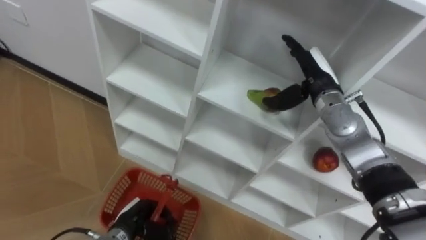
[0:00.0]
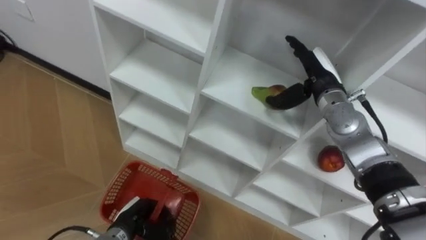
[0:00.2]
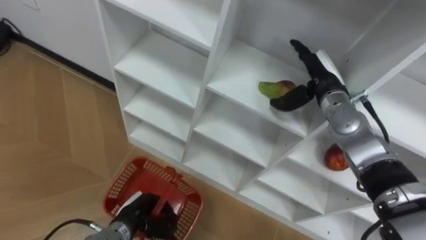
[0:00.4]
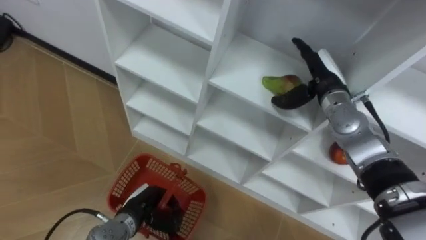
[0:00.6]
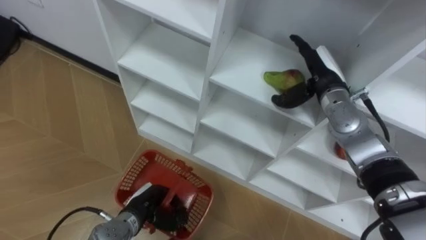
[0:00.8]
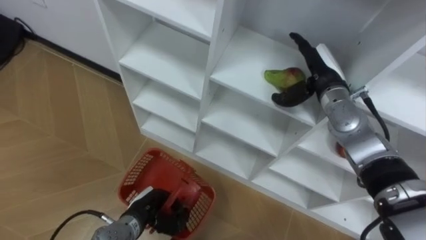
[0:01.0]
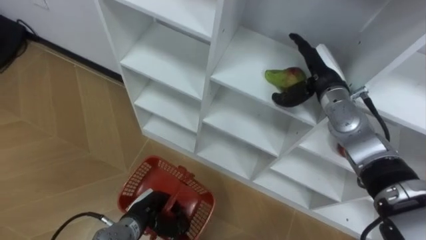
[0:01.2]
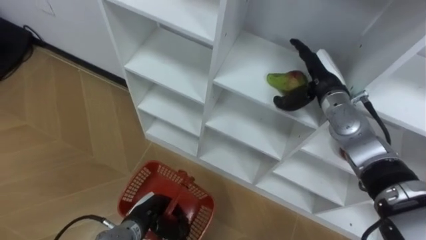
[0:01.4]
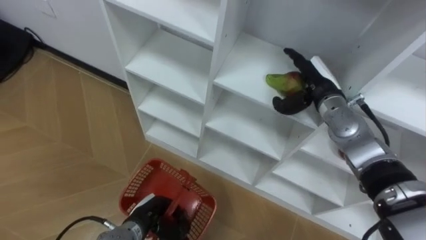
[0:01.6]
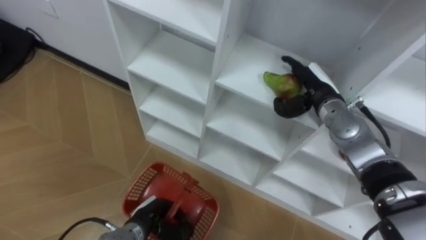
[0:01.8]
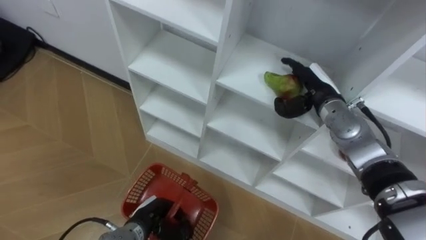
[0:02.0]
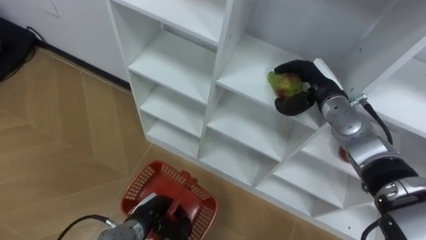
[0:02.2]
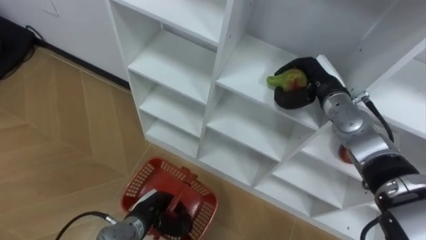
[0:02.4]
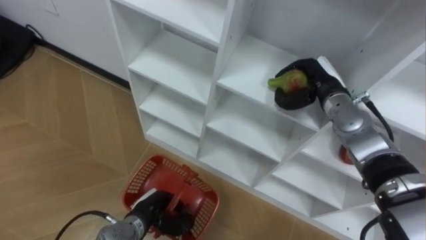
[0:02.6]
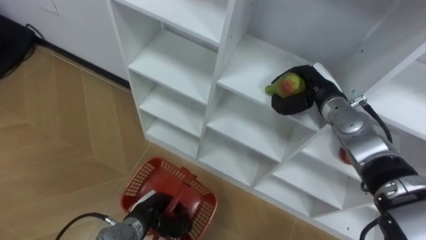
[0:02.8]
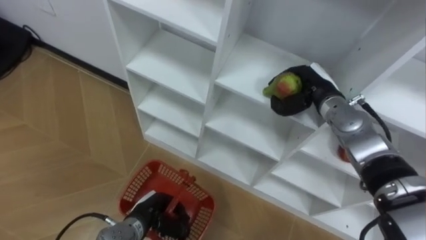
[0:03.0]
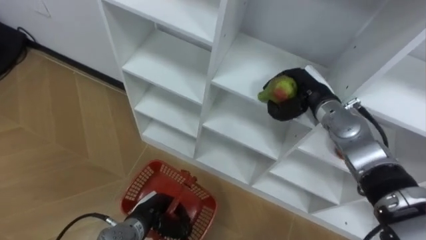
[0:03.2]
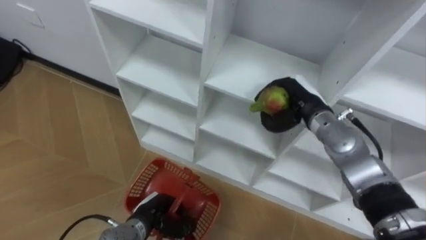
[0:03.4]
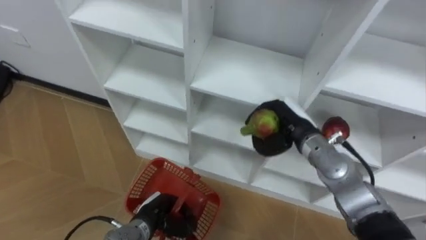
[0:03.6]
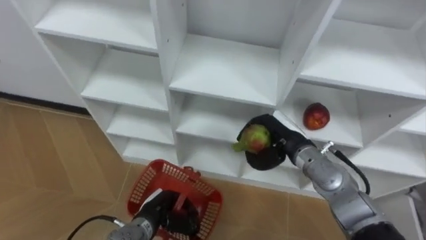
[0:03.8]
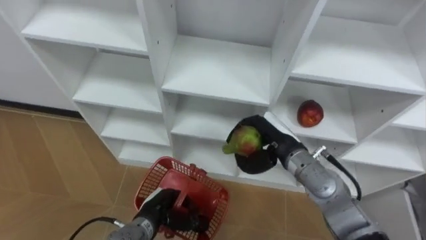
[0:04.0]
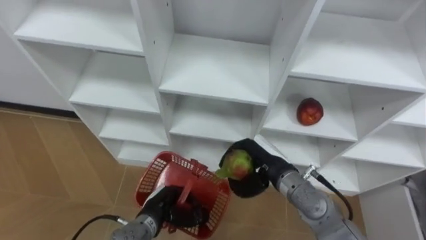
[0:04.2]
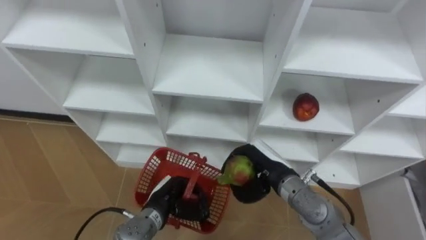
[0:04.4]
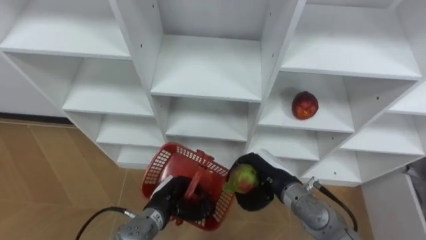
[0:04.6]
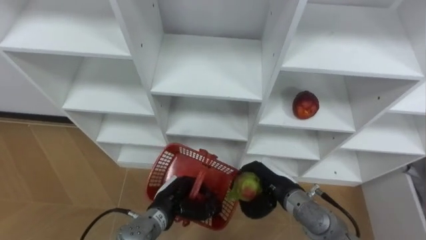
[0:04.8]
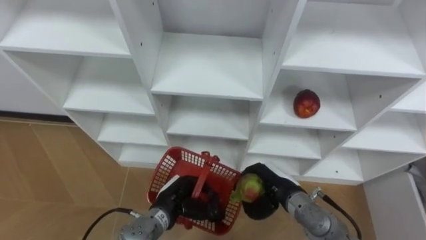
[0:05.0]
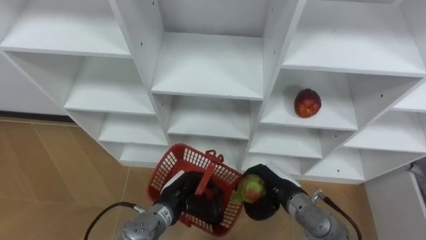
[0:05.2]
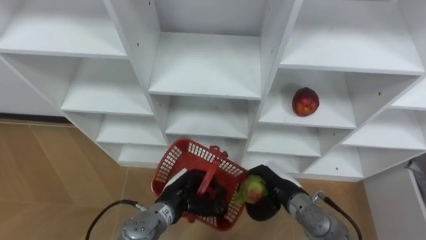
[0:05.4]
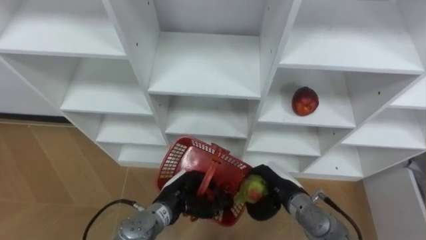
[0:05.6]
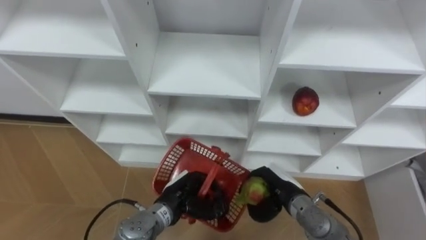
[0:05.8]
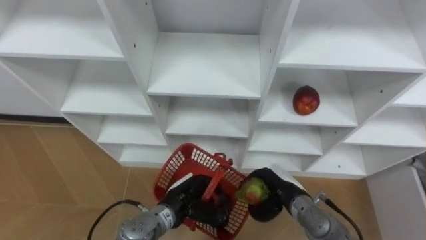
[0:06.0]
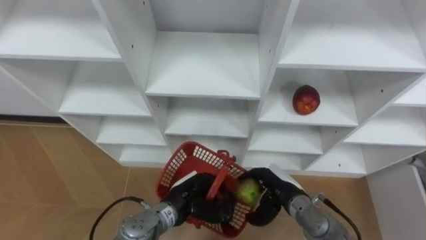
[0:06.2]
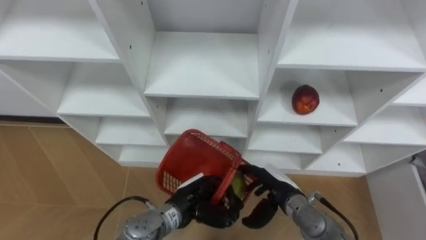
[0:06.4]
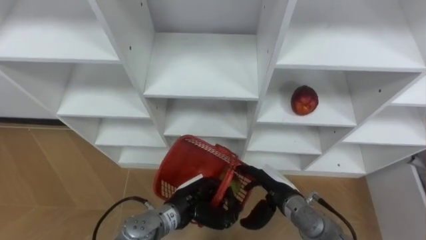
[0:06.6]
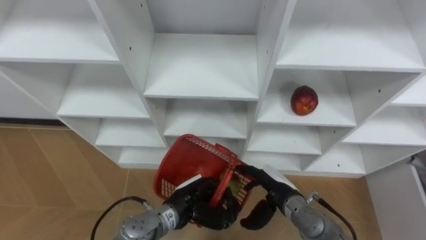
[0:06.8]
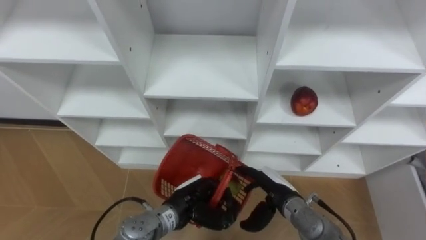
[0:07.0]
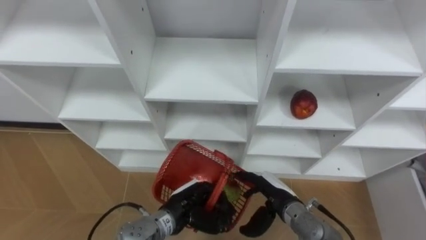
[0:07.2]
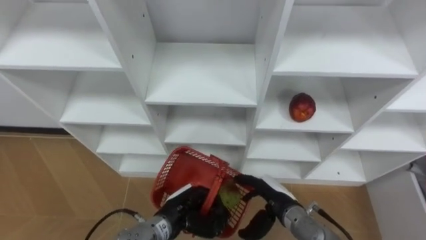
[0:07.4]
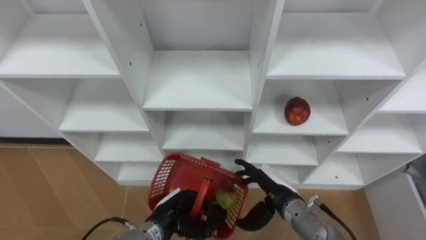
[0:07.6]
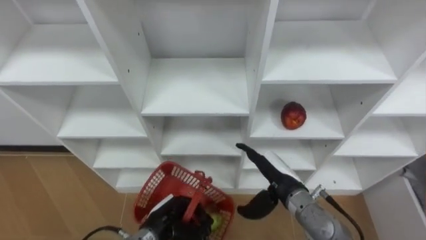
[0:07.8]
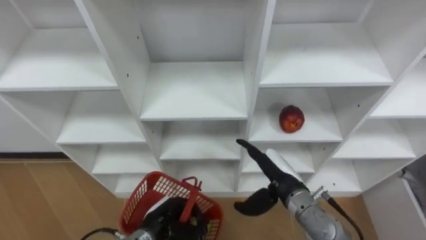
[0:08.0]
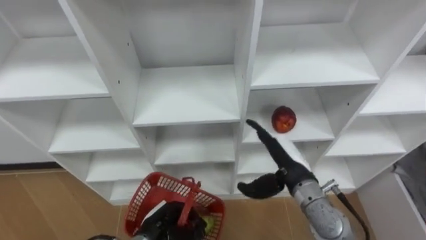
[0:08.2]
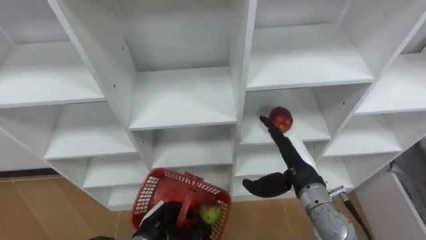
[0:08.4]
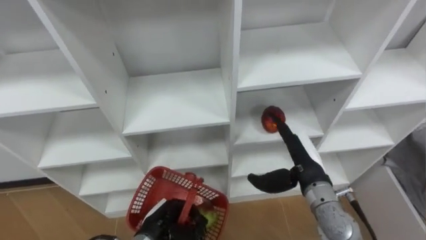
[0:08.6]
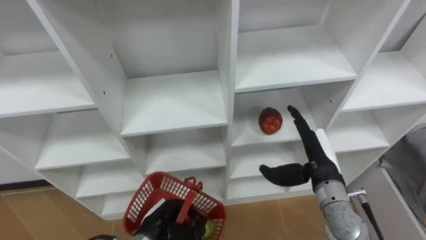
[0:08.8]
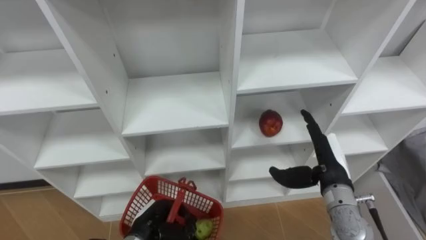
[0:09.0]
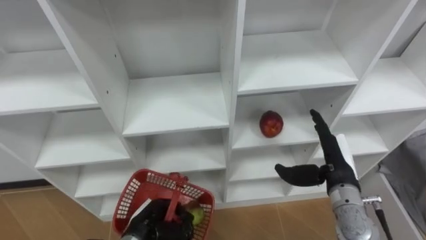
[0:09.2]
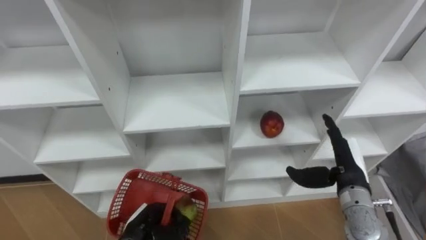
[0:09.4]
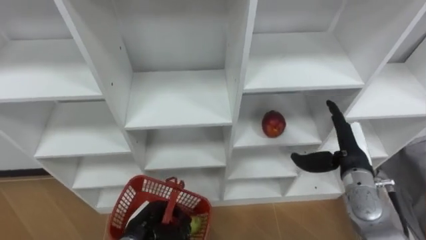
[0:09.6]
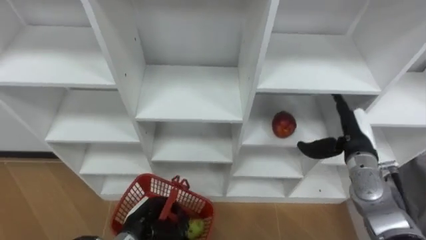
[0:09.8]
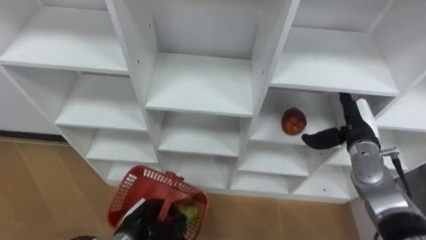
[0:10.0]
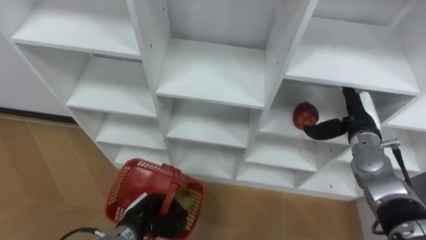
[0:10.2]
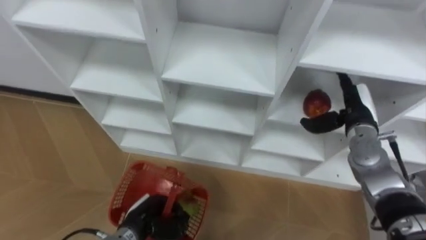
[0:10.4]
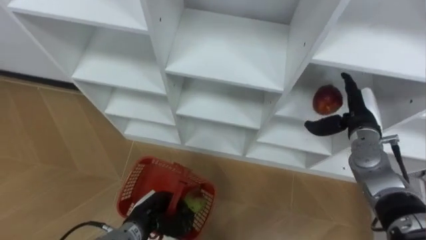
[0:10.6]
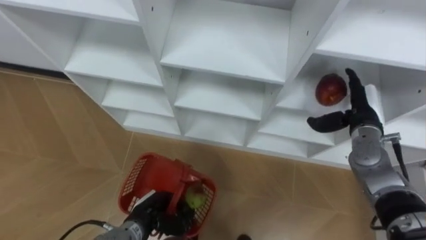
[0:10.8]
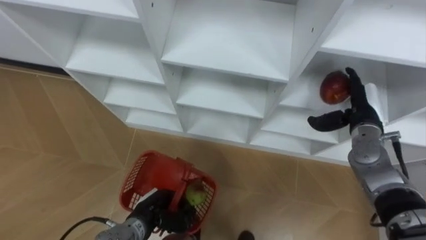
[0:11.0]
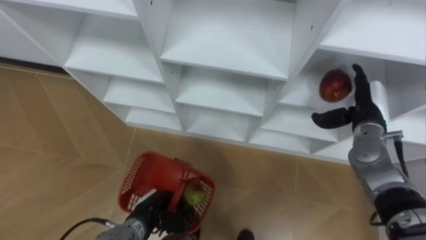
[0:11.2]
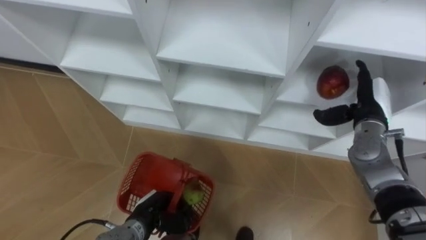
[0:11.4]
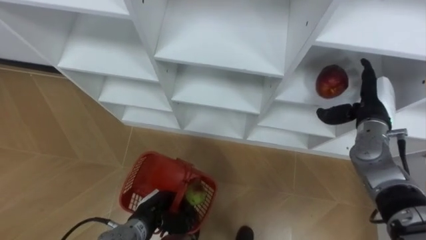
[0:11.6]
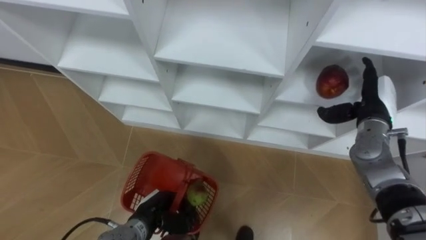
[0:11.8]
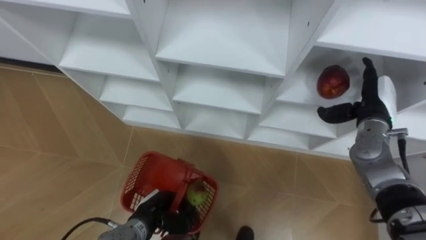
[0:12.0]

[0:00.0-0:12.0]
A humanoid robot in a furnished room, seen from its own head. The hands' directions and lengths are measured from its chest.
Task of the whole recording: Hold the basket and collect the fruits from 3 different cells of the closet into it.
0:01.6 to 0:03.0: The right hand closes.
0:03.0 to 0:04.4: The right hand shifts roughly 20 cm backward, to the left and downward.
0:04.4 to 0:06.0: The right hand heads downward, covering some 5 cm.
0:06.0 to 0:07.6: The right hand opens up.
0:07.6 to 0:09.0: The right hand travels to the right and upward by roughly 10 cm; the left hand moves approximately 5 cm.
0:09.0 to 0:10.4: The right hand heads forward and to the right, covering approximately 10 cm.

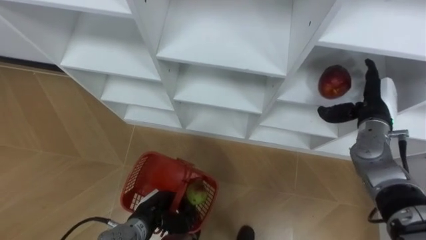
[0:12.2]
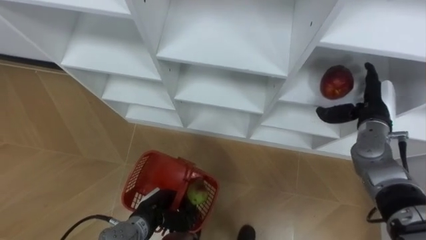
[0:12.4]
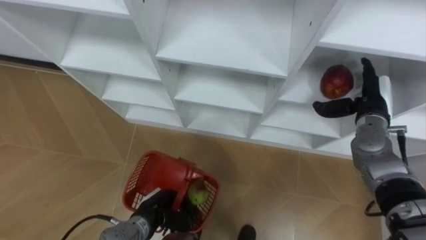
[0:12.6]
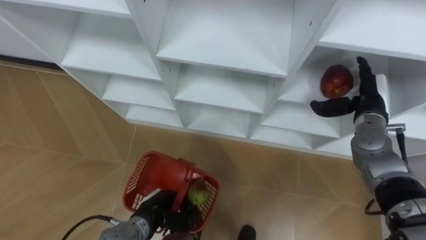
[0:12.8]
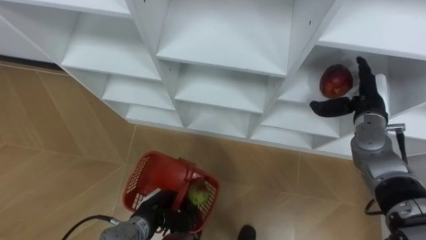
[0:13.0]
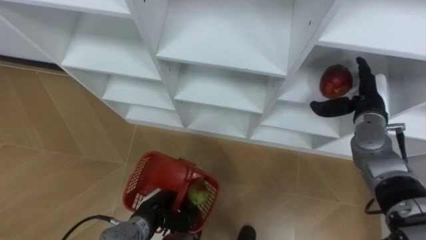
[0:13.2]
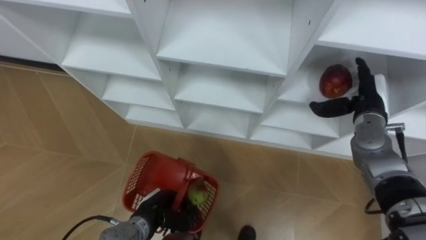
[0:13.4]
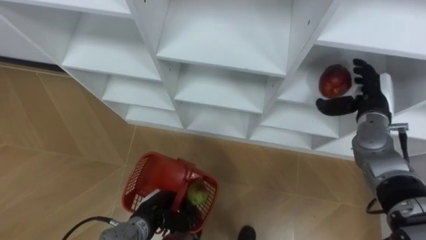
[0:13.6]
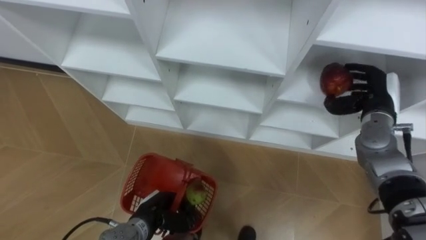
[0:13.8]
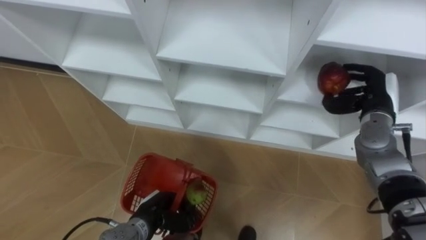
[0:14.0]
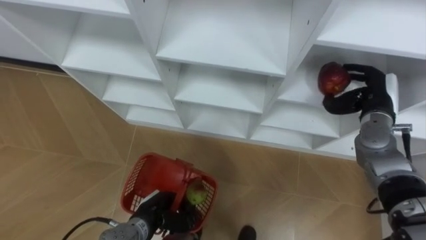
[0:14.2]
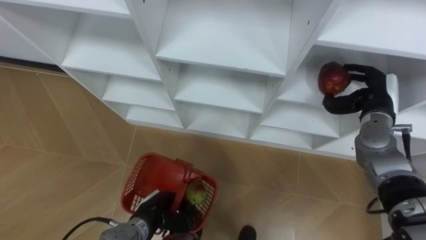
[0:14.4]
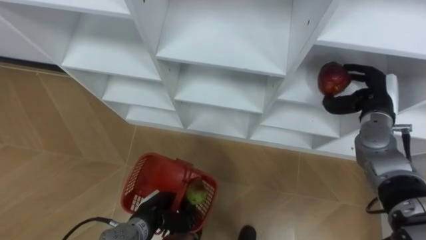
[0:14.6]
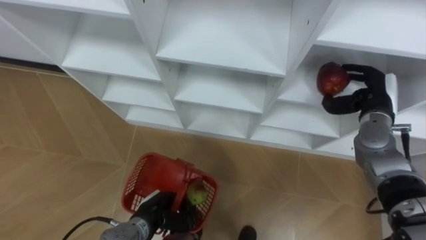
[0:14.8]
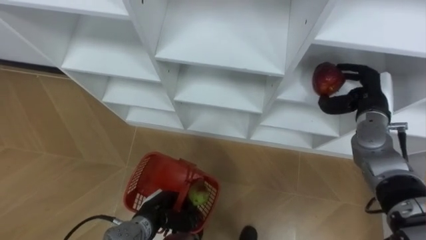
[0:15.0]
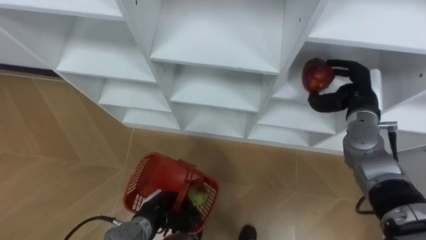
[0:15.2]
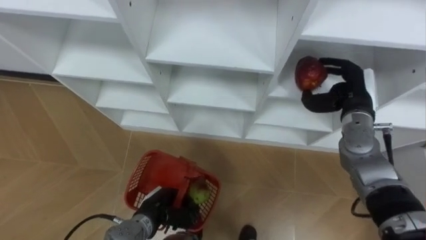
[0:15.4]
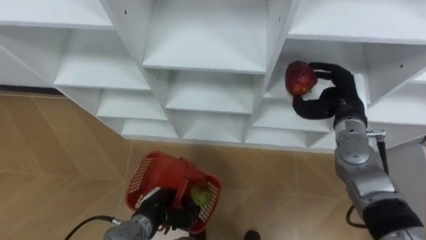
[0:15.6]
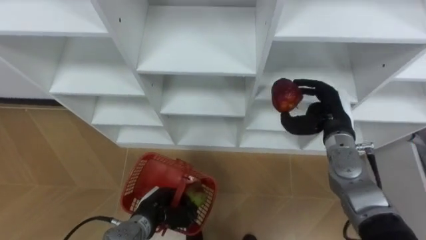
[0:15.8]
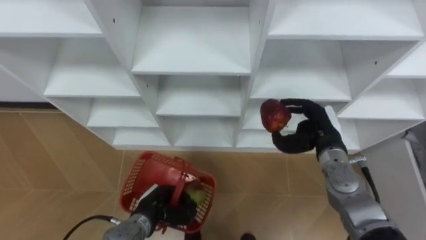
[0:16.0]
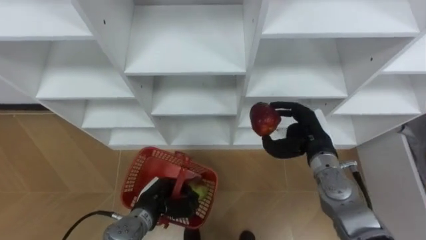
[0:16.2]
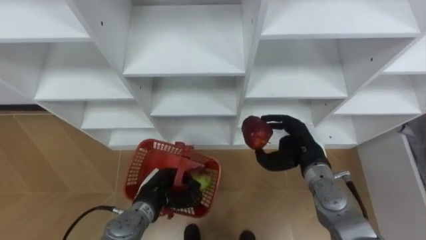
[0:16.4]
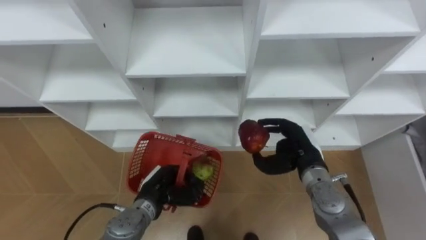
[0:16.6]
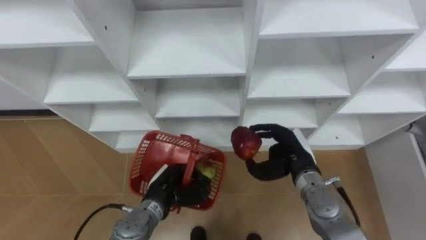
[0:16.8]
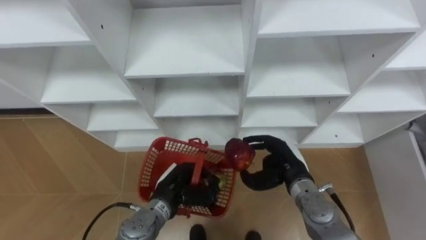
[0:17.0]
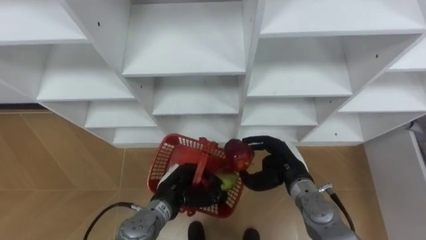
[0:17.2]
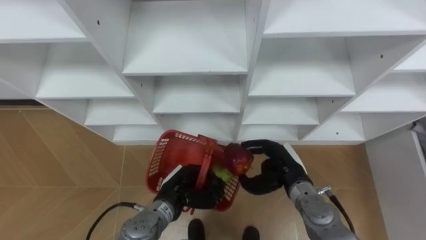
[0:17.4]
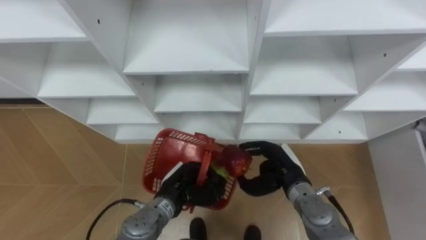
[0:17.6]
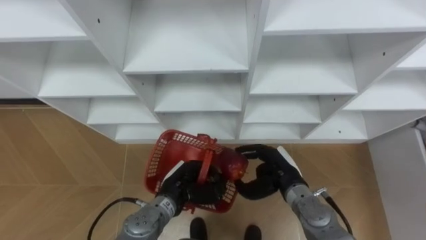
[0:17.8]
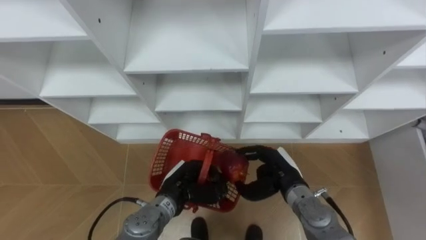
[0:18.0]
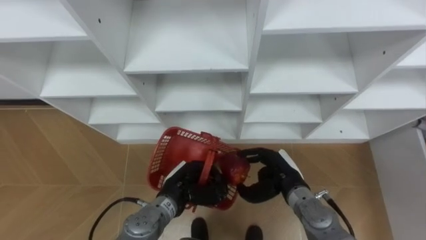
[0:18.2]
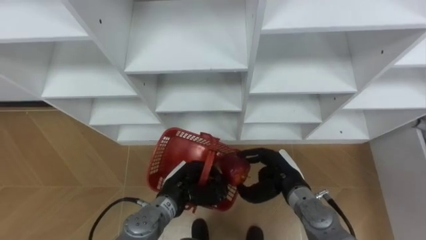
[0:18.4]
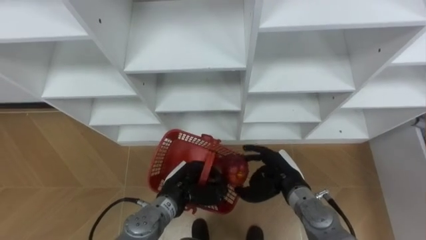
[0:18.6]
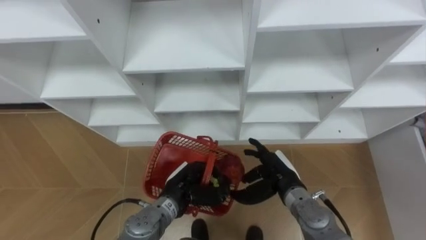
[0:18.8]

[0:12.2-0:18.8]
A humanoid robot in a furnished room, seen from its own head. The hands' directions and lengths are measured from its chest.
Task of the whole recording: Hold the basket and collect the fruits from 3 different cells of the closet into it.
0:12.2 to 0:13.8: The right hand closes its fingers.
0:15.4 to 0:17.2: The right hand moves to the left, downward and backward, roughly 20 cm; the left hand shifts by some 5 cm.
0:17.2 to 0:18.8: The right hand opens up.
